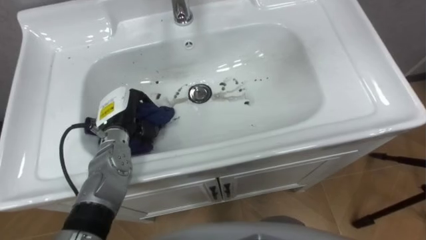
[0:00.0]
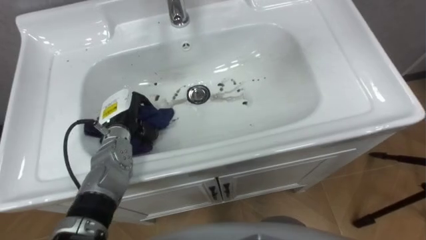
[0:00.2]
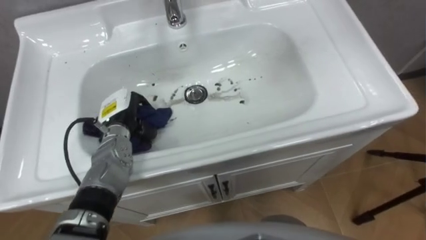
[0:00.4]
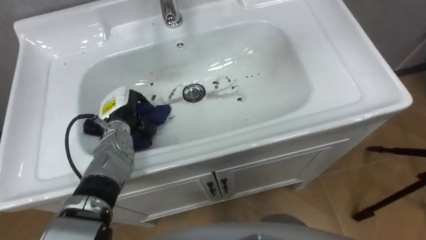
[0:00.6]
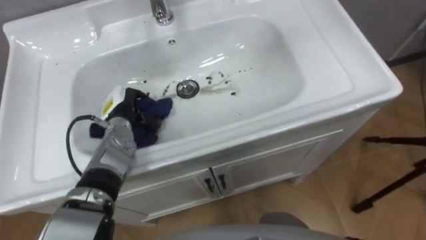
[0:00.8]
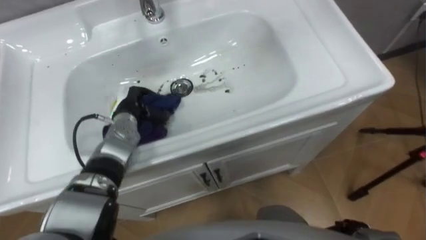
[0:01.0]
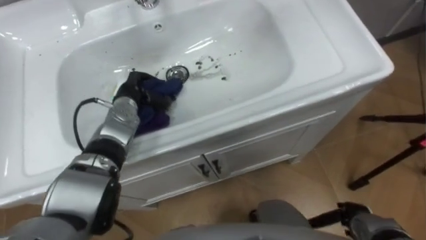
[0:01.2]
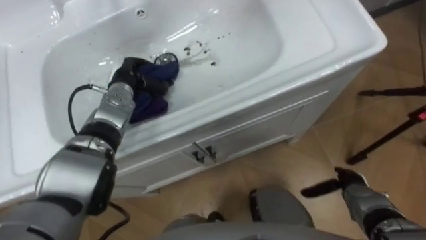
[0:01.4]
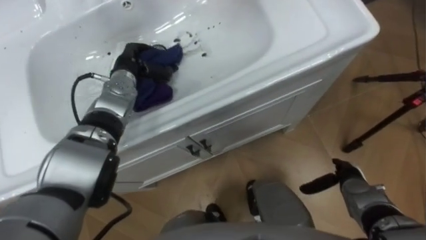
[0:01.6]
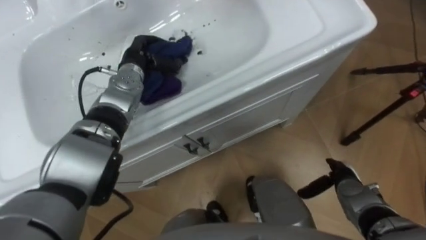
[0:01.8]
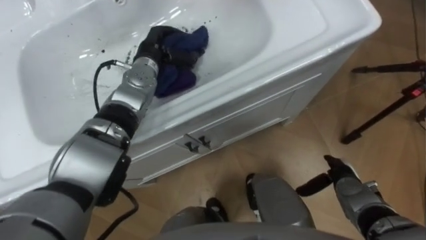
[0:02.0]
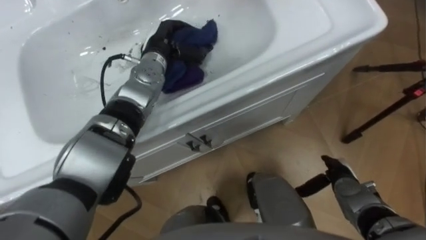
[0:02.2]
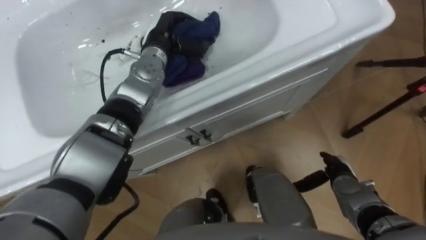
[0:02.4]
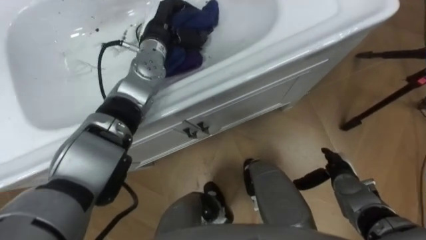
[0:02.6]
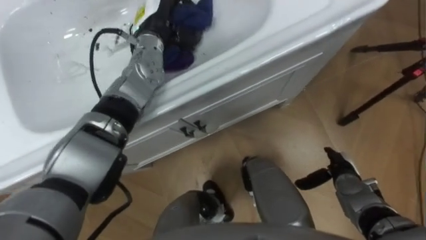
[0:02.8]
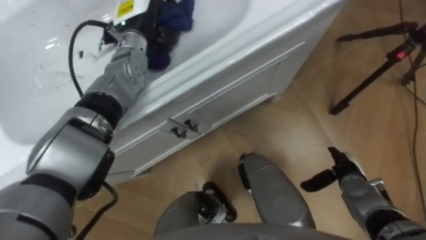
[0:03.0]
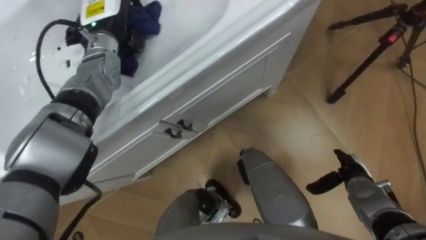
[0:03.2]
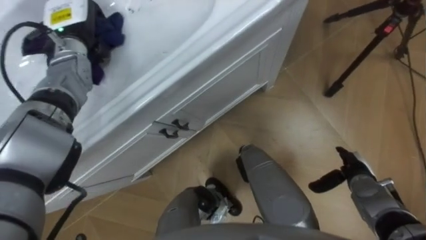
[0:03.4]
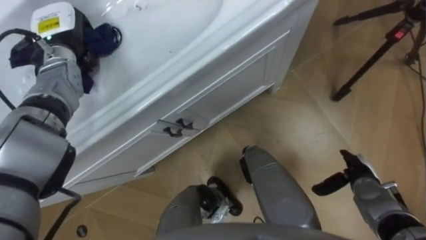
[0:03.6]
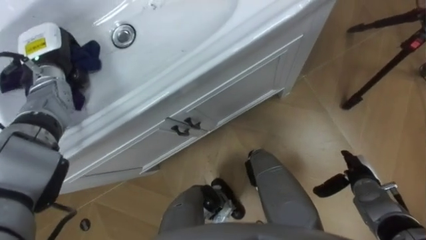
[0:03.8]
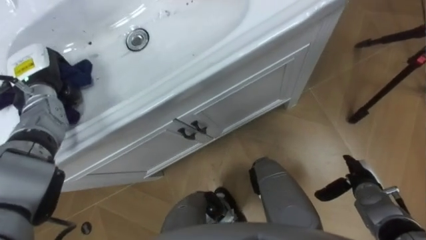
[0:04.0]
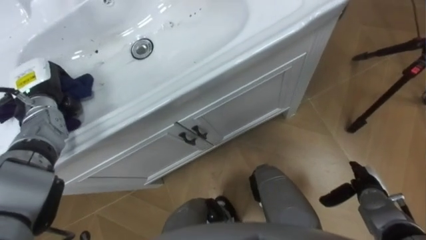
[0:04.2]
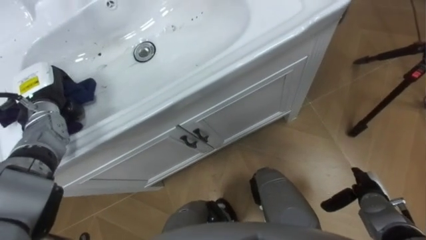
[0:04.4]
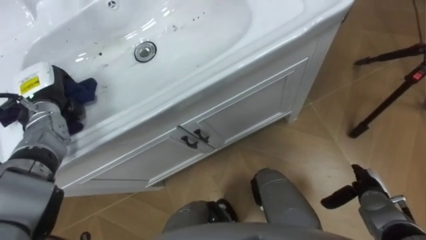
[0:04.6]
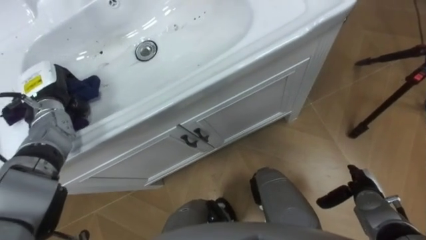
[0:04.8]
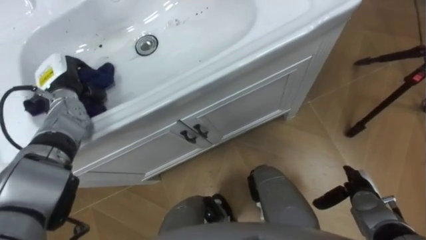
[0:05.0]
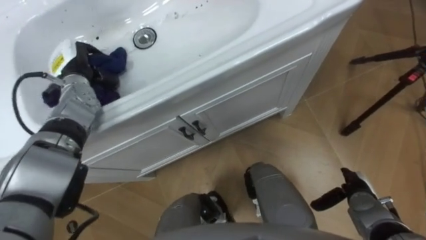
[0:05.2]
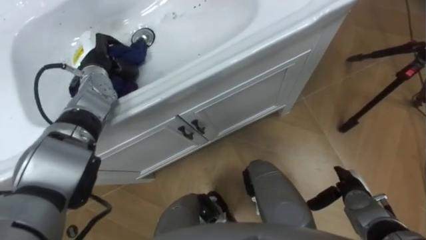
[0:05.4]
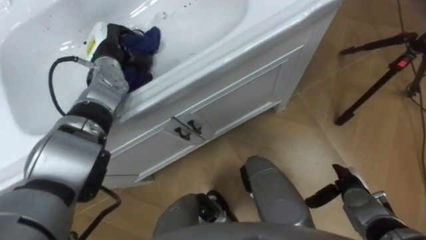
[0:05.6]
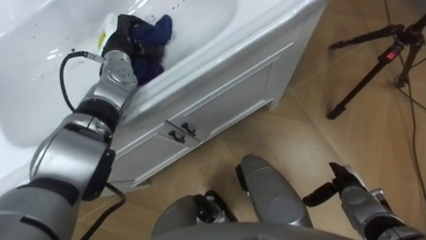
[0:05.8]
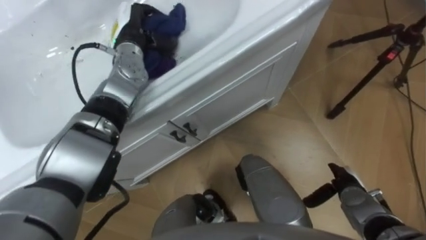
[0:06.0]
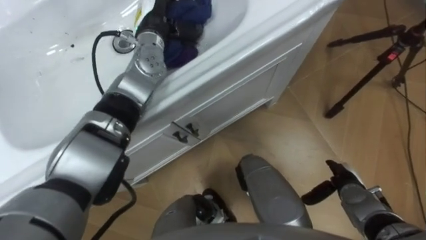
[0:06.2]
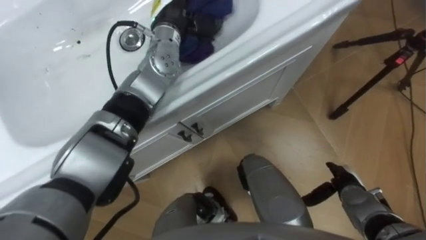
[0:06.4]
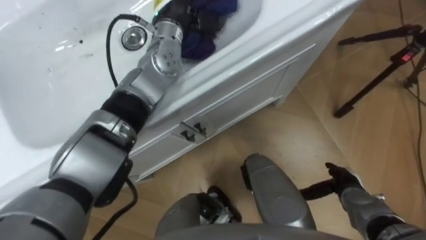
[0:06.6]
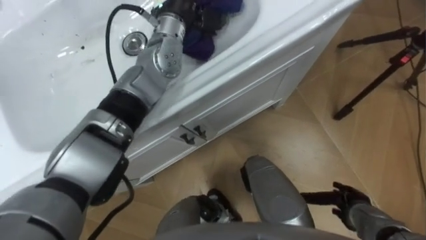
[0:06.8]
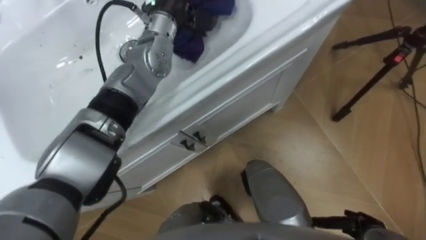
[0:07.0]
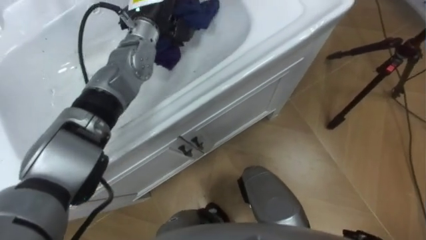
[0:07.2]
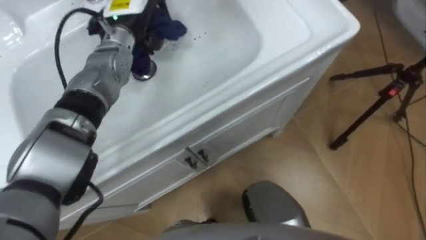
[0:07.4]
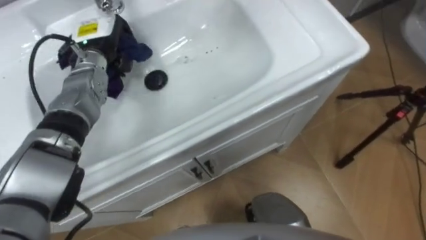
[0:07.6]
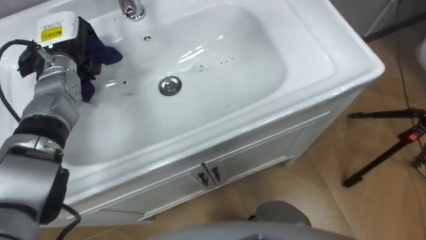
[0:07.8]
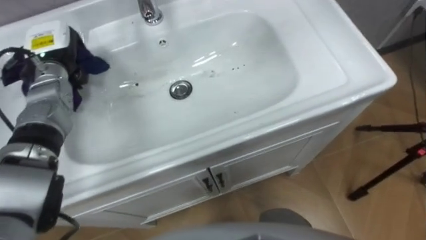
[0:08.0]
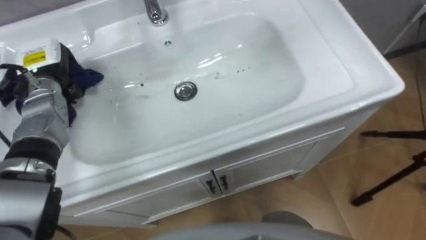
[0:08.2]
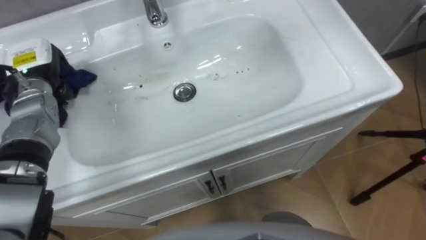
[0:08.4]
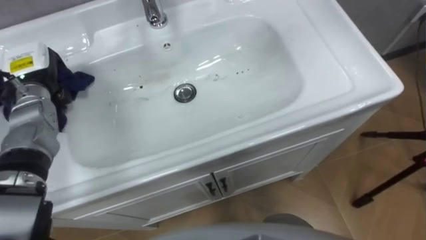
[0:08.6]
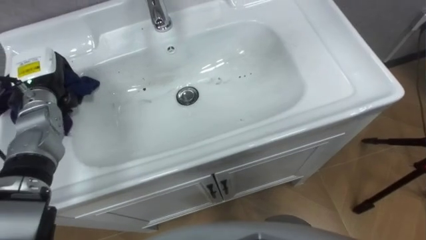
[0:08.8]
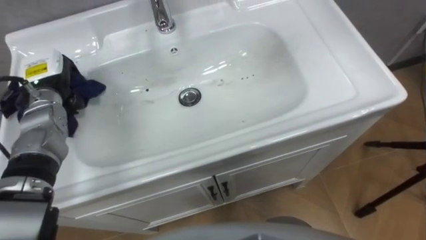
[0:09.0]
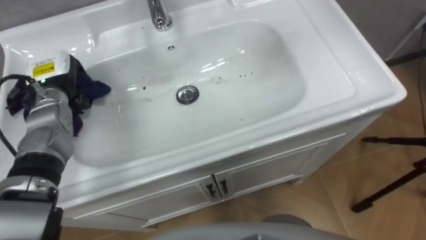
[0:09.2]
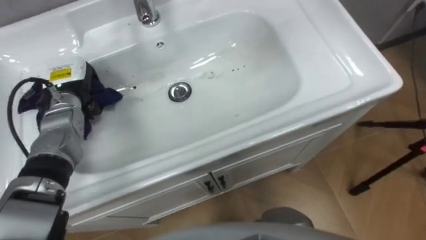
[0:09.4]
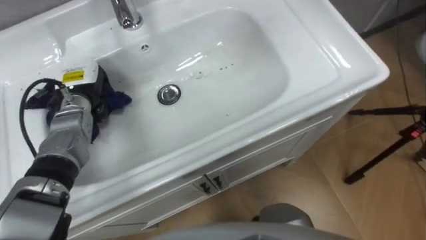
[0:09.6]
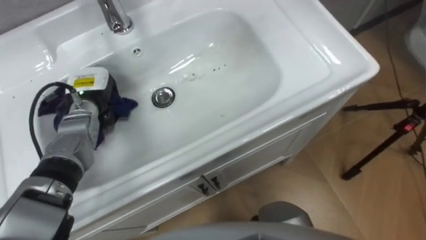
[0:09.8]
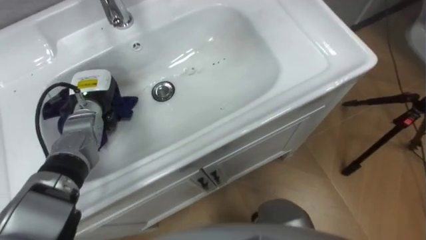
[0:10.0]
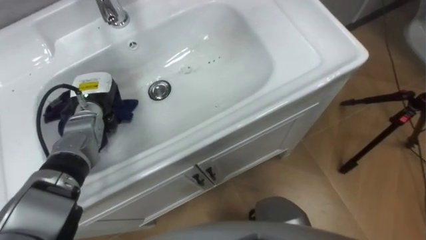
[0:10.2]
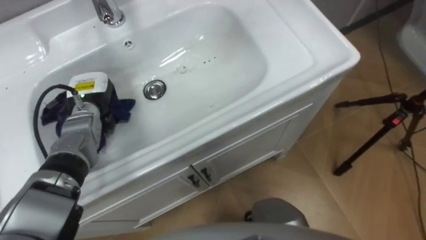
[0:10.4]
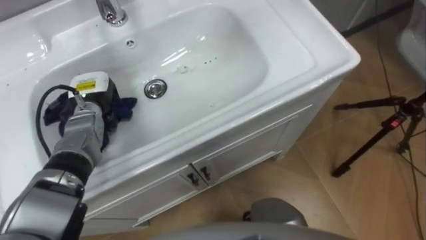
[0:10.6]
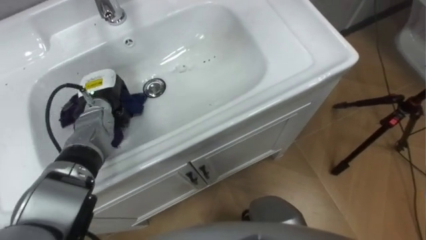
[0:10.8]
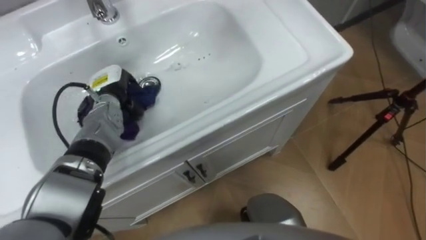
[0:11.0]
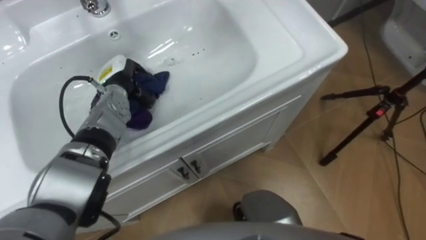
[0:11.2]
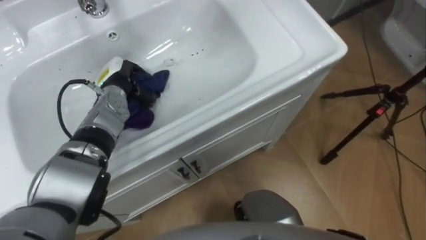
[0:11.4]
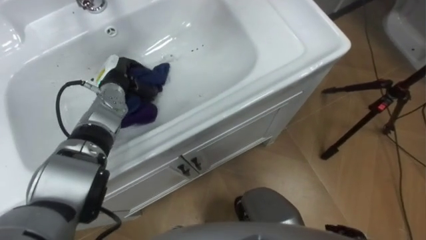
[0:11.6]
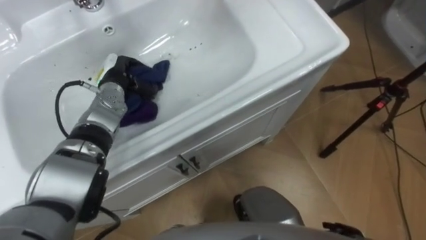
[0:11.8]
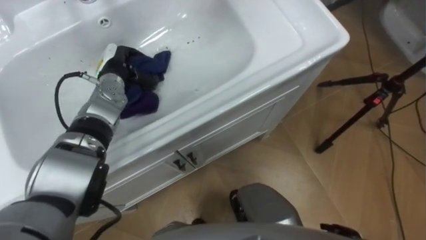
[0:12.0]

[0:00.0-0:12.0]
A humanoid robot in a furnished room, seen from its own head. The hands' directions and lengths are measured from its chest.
Task of the whole recording: Use the cloth on the right to wipe away the black stain in the sink.
0:00.0 to 0:01.6: The left hand moves forward, roughly 10 cm.
0:01.6 to 0:03.0: The left hand goes some 10 cm upward.
0:03.0 to 0:04.4: The right hand moves some 5 cm, while the left hand shifts roughly 25 cm to the left, backward and downward.
0:04.4 to 0:06.0: The left hand shifts roughly 20 cm to the right and forward.
0:07.6 to 0:09.0: The left hand heads to the left and backward, covering about 15 cm.
0:09.0 to 0:10.4: The left hand moves to the right and downward, approximately 10 cm.
0:10.4 to 0:12.0: The left hand travels to the right and forward by approximately 10 cm.

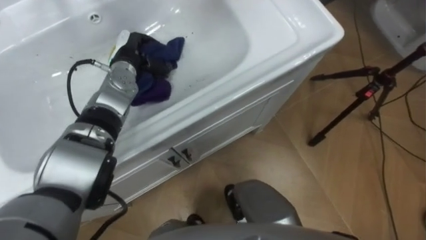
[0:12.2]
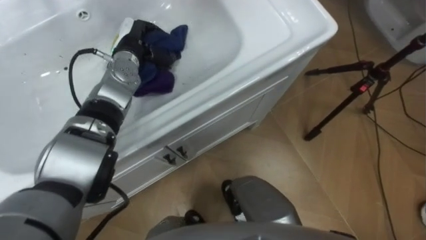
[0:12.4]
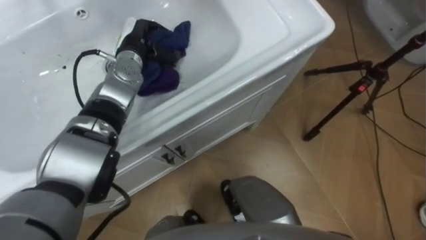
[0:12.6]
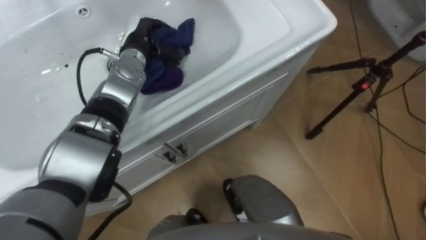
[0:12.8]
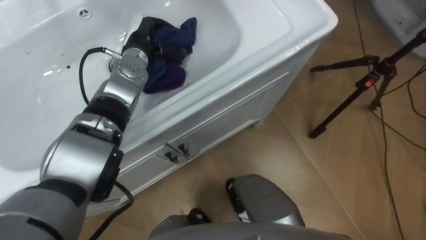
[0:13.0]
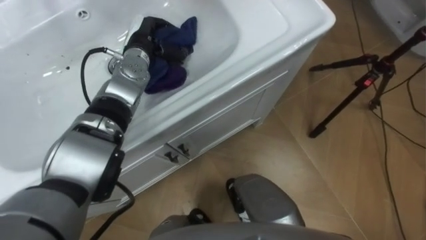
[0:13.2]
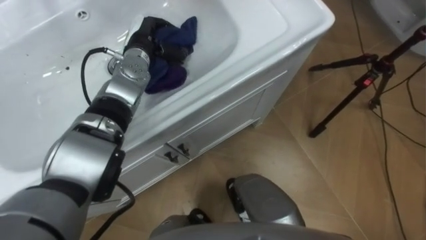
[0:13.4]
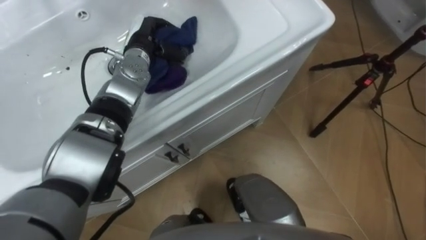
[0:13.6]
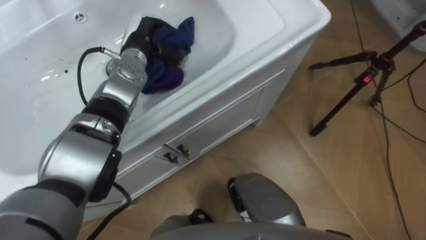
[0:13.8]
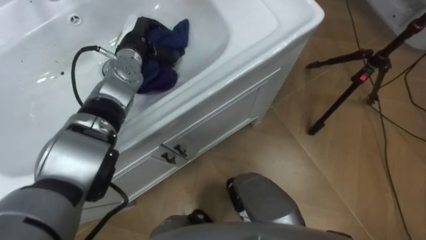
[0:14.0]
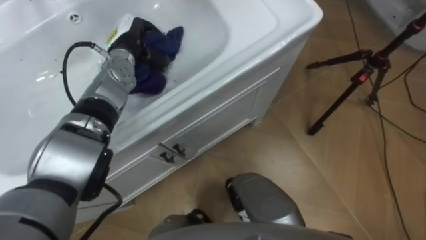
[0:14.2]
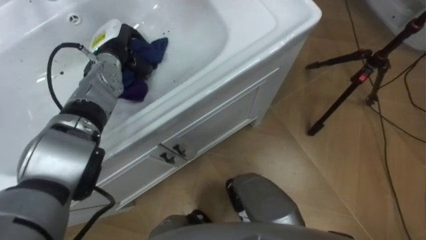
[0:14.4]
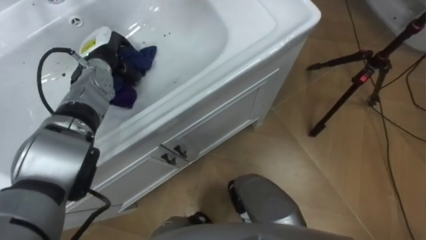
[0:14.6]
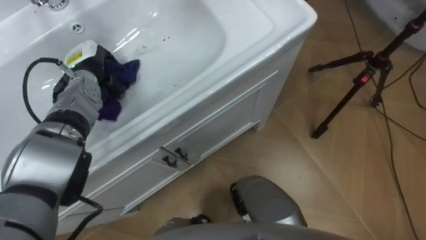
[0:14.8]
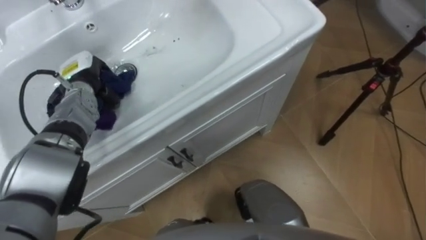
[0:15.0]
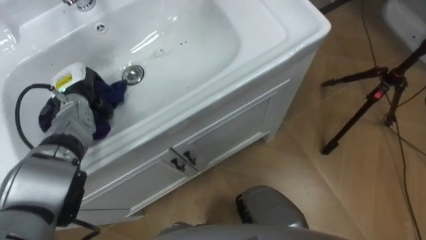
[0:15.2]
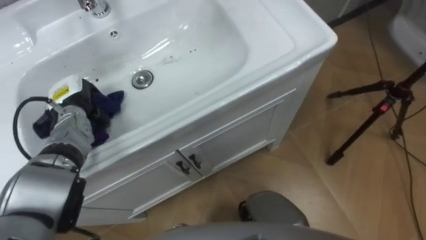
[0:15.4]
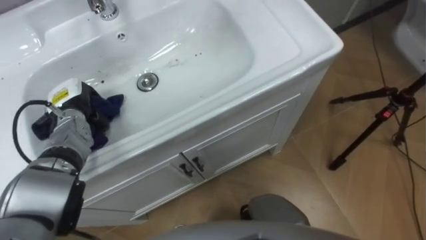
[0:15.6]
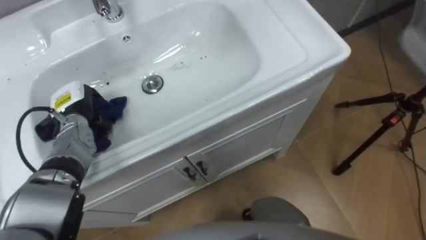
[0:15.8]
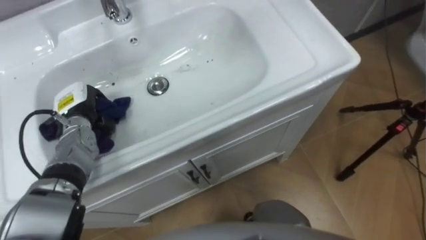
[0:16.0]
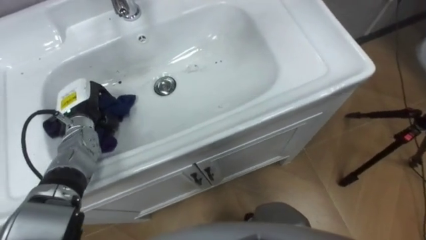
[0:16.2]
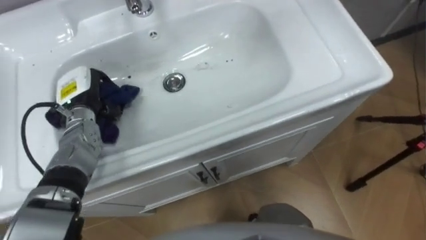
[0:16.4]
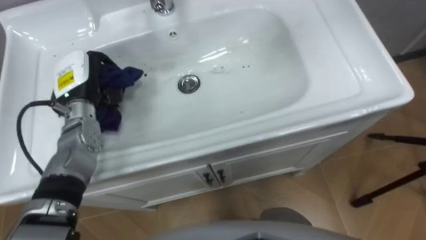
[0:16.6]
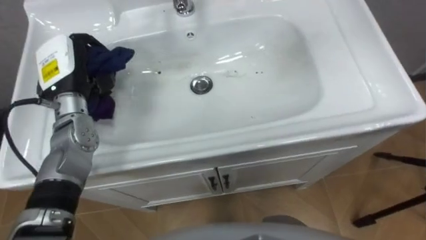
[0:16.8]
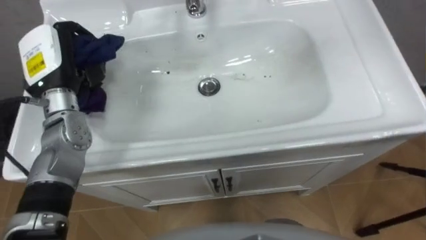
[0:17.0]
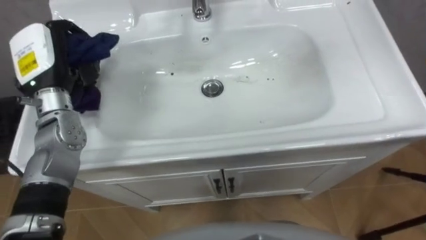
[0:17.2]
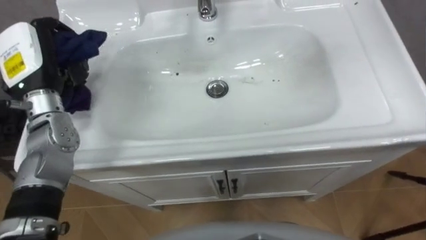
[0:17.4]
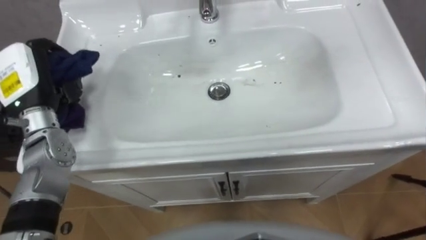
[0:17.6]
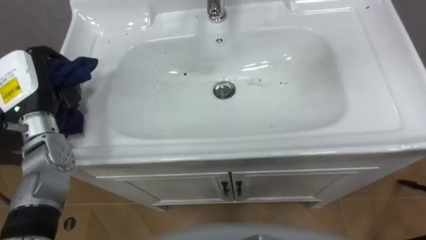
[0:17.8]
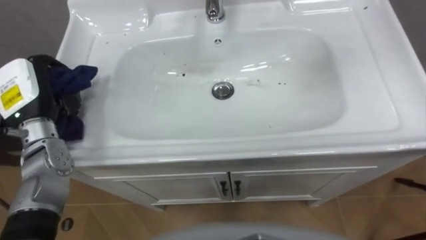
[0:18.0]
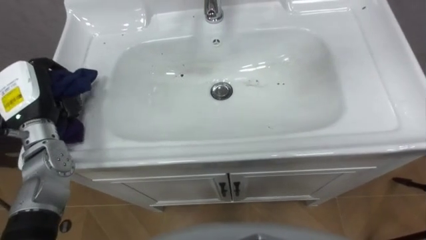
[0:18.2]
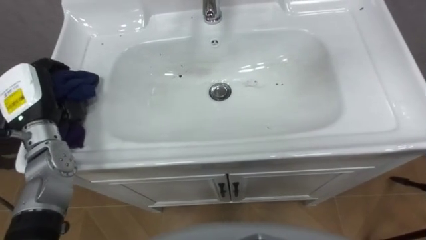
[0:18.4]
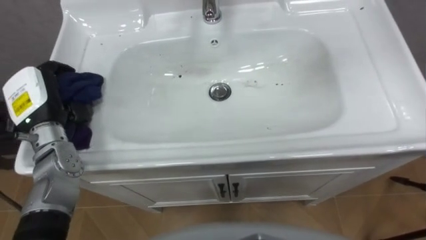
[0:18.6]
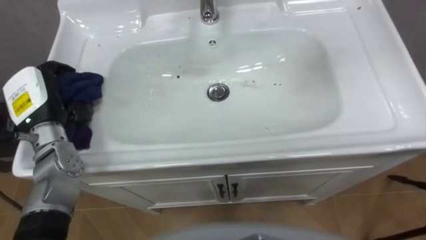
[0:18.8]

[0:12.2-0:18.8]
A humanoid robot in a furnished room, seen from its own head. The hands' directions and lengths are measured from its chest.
Task of the whole recording: Use the cloth on the right to wipe away the black stain in the sink.
0:13.8 to 0:15.4: The left hand heads to the left, backward and downward, covering some 20 cm.
0:15.4 to 0:17.2: The left hand moves upward, approximately 15 cm.
0:17.2 to 0:18.8: The left hand heads downward, covering about 5 cm.
